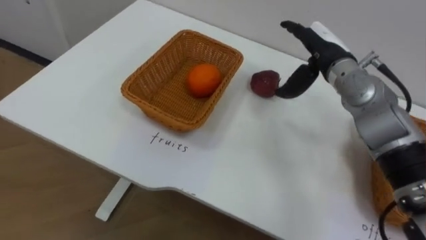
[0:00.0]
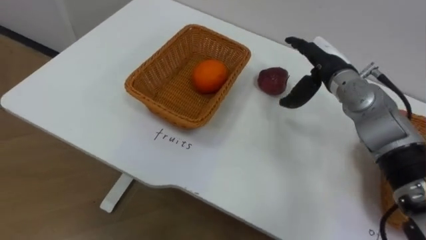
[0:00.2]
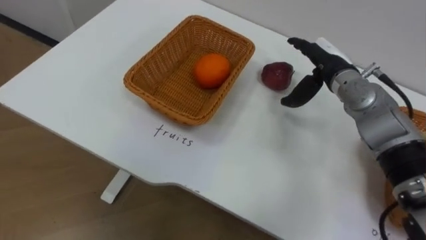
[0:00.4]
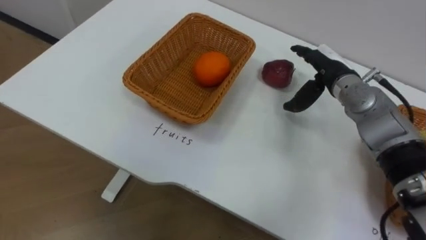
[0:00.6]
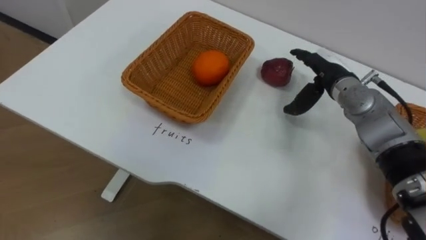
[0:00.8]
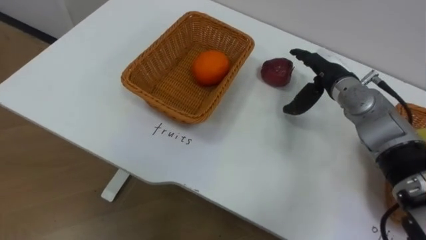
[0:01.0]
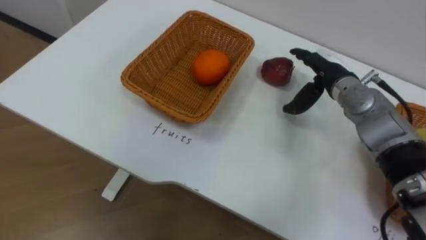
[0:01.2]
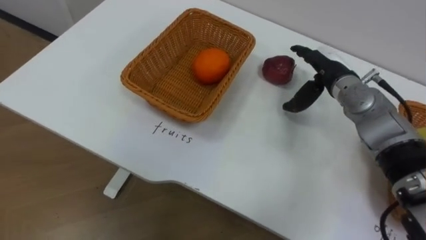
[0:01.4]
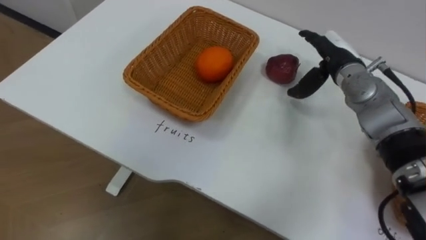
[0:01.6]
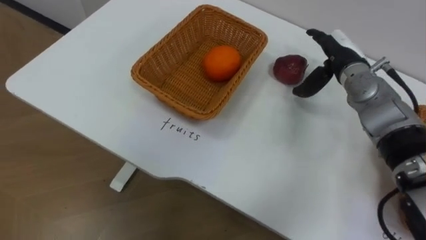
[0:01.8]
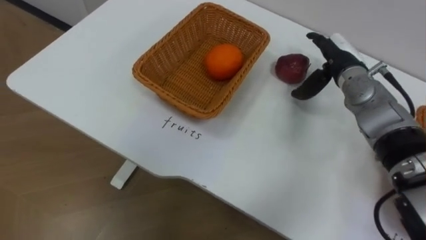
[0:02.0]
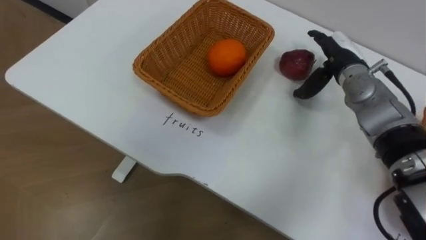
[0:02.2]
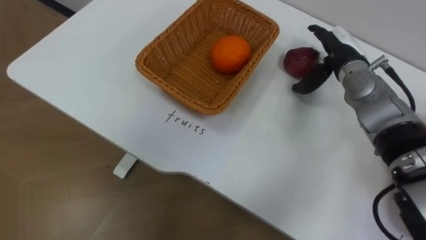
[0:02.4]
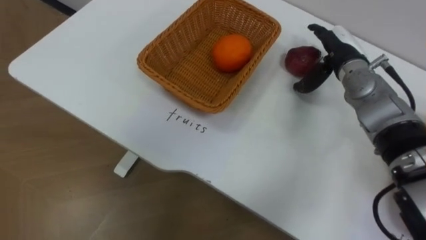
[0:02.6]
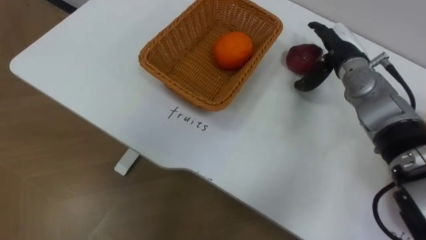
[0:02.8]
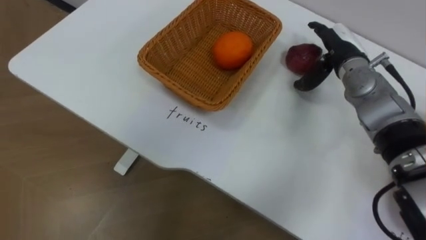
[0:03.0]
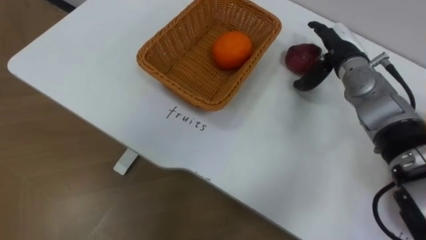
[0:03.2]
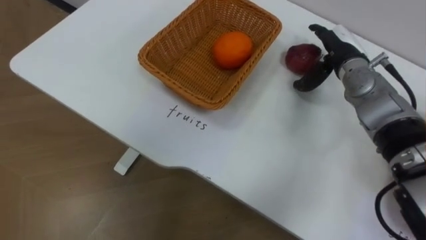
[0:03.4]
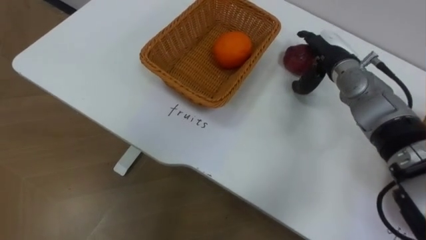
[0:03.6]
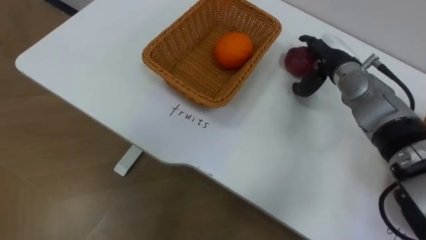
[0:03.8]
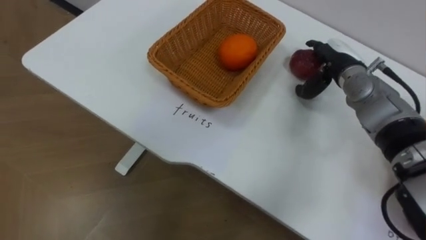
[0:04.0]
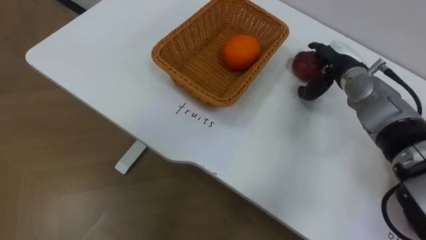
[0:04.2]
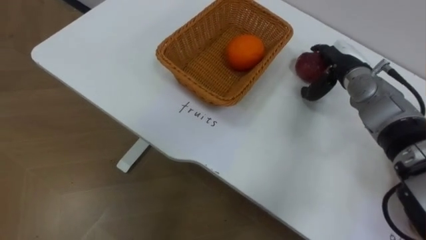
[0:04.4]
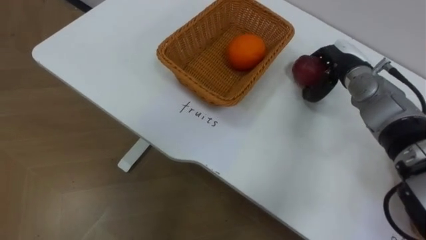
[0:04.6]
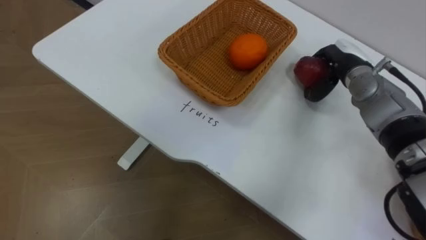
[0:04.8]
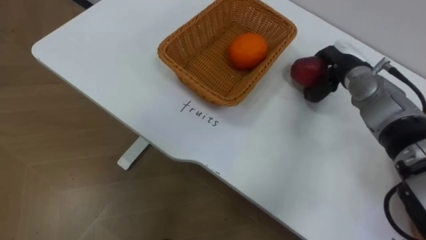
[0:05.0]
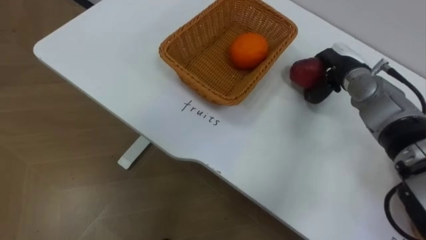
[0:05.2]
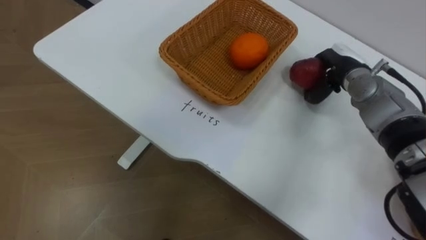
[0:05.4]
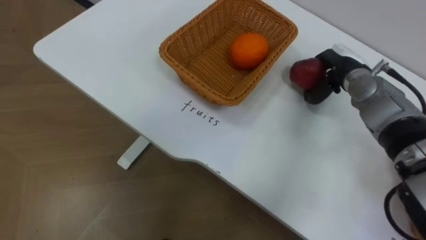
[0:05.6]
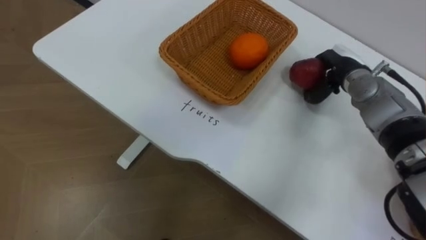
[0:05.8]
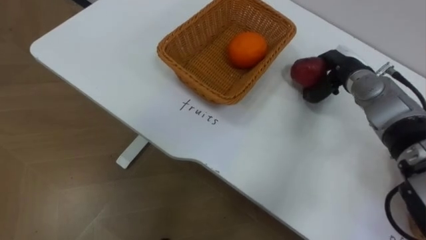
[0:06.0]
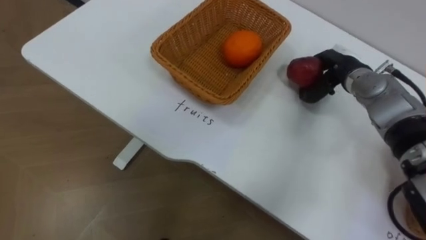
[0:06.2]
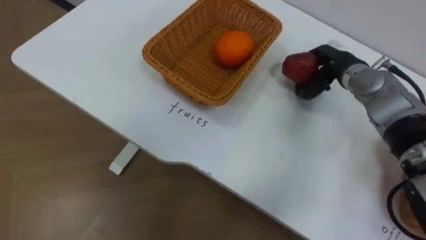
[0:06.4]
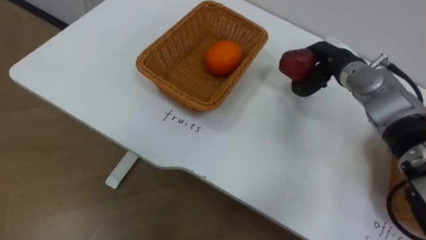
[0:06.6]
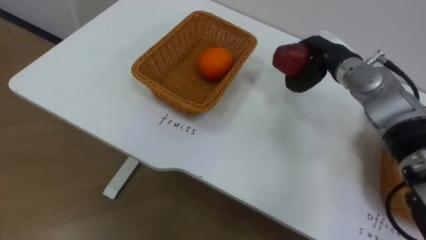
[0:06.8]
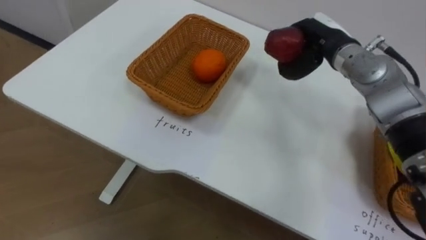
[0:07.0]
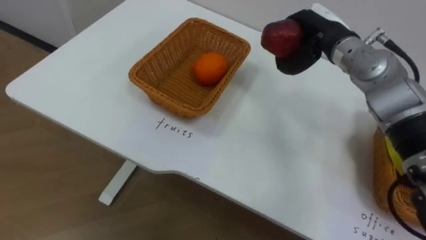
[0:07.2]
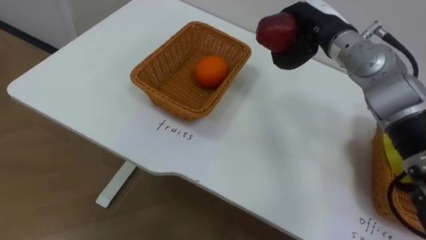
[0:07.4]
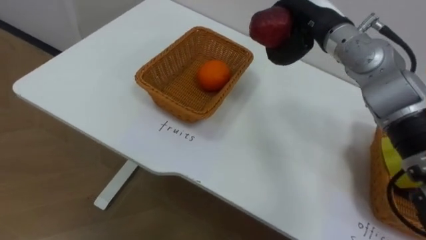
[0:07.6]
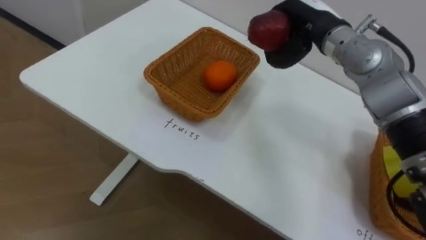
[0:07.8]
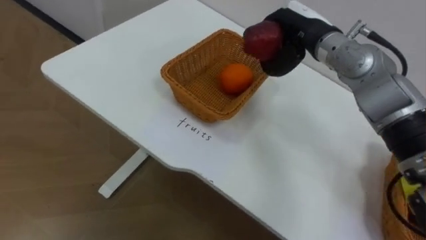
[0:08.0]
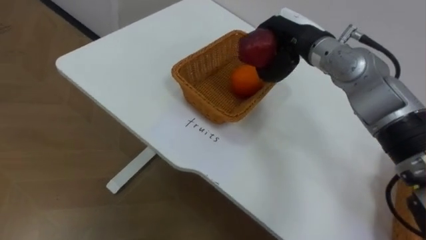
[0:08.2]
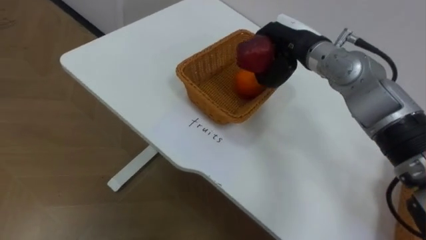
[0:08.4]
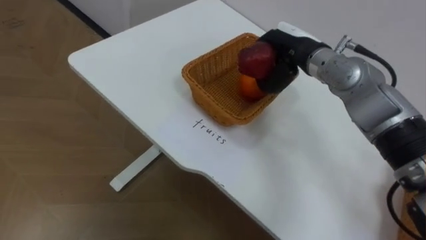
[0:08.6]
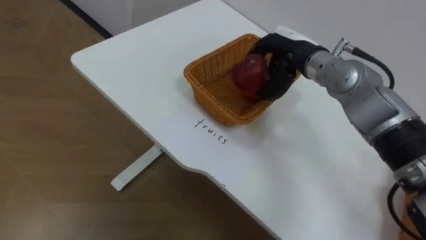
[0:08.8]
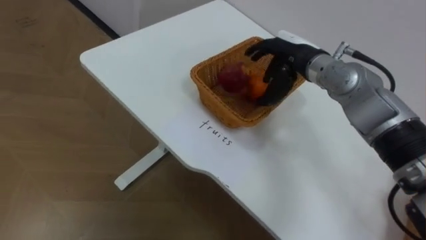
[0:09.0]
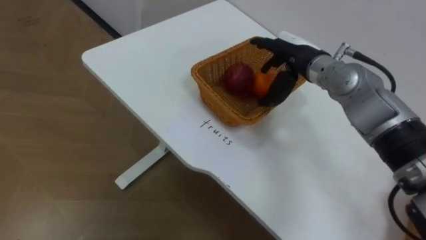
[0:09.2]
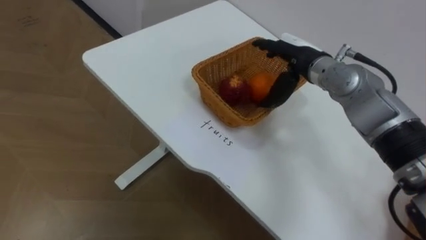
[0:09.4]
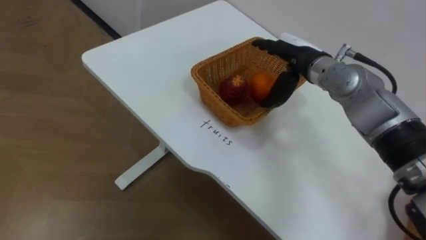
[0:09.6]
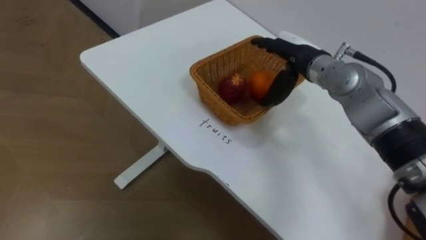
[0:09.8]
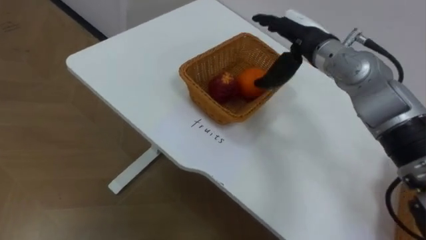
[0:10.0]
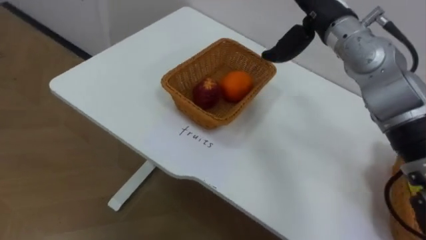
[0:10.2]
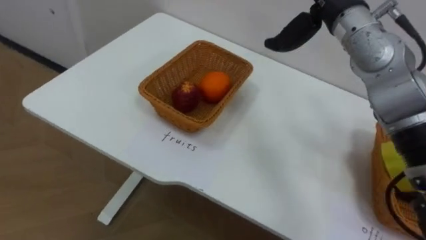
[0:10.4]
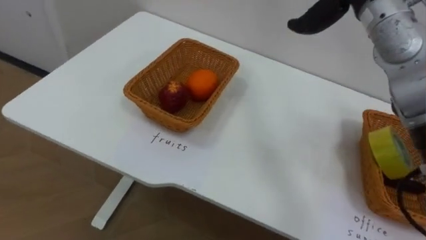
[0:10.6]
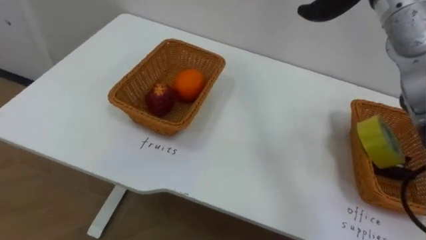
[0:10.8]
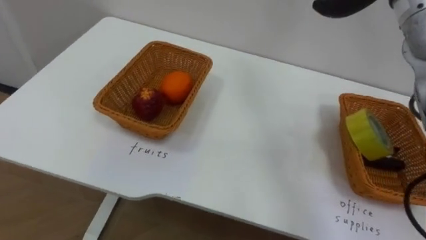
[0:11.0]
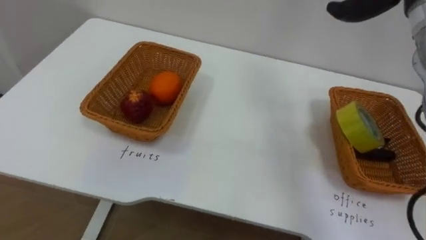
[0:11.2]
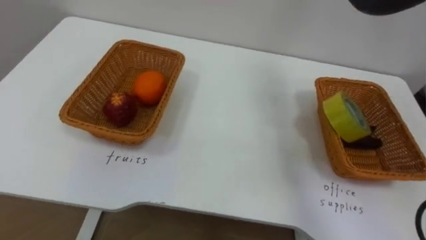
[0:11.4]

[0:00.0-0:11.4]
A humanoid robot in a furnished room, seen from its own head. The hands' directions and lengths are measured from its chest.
Task of the whole recording: Separate the items on the table and place them into the two baskets.
0:00.0 to 0:01.4: The right hand changes place by about 5 cm.
0:04.2 to 0:05.6: The right hand closes.
0:05.6 to 0:07.2: The right hand is displaced upward and to the left by about 10 cm.
0:07.2 to 0:08.6: The right hand moves approximately 5 cm.
0:08.6 to 0:10.0: The right hand opens up.

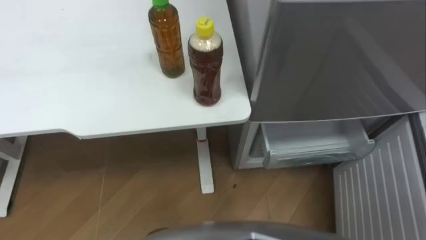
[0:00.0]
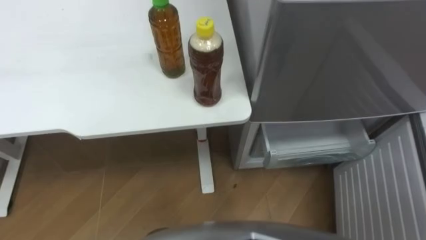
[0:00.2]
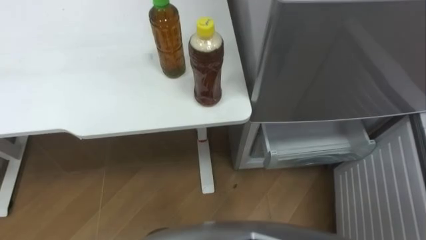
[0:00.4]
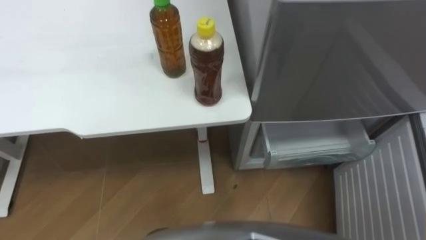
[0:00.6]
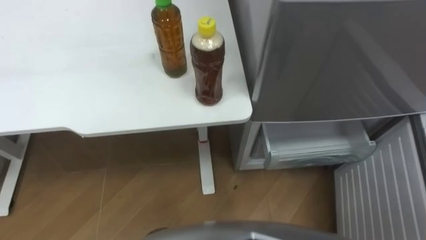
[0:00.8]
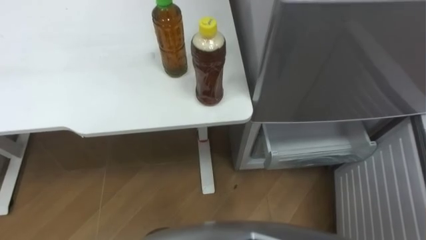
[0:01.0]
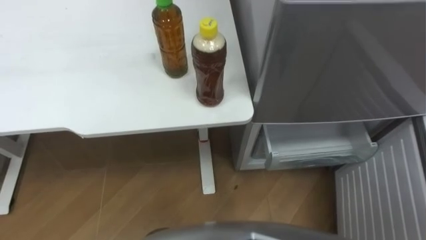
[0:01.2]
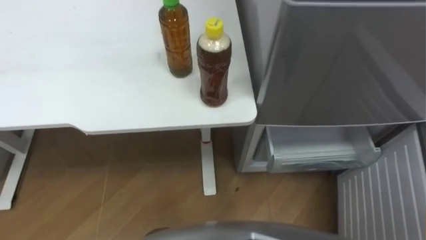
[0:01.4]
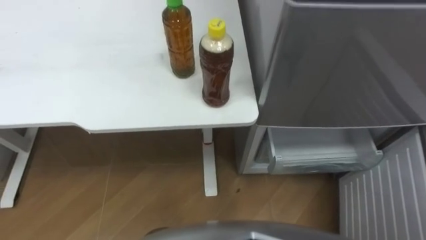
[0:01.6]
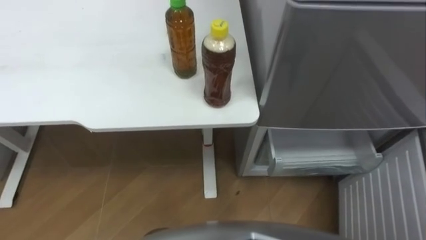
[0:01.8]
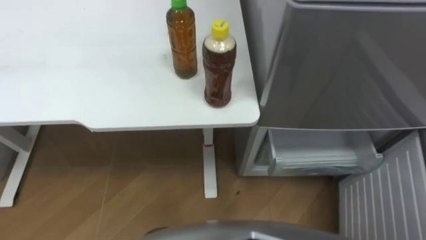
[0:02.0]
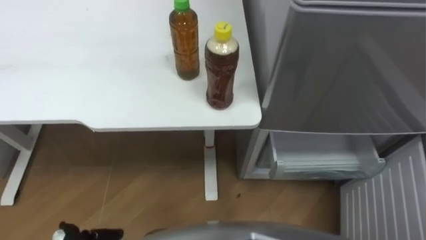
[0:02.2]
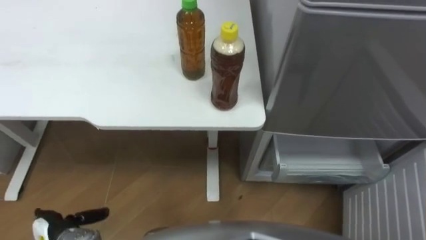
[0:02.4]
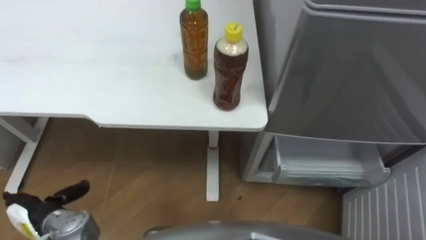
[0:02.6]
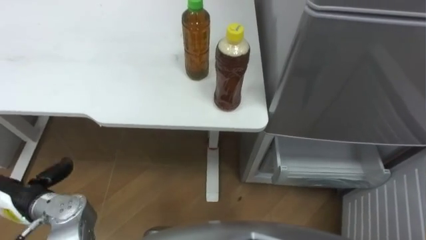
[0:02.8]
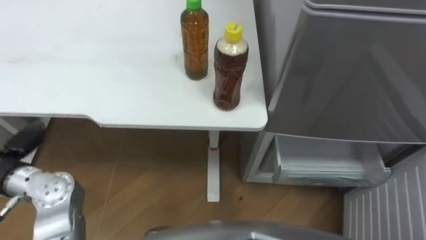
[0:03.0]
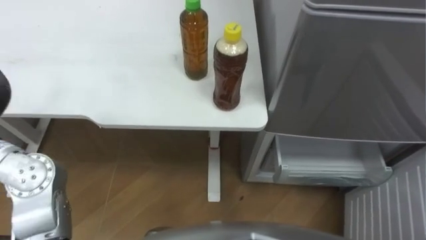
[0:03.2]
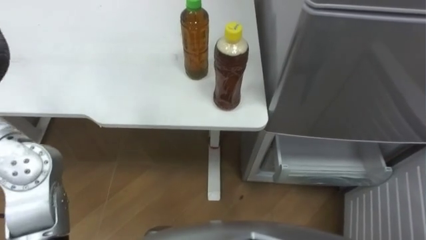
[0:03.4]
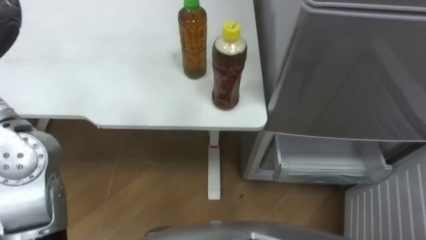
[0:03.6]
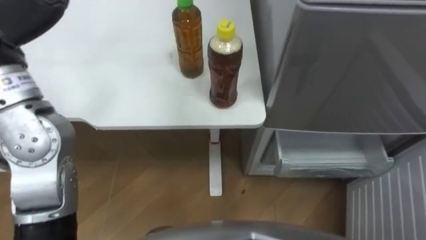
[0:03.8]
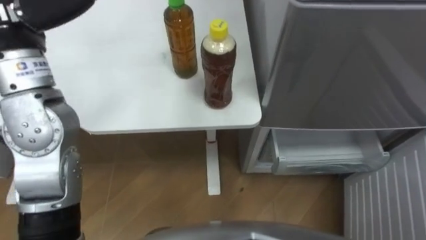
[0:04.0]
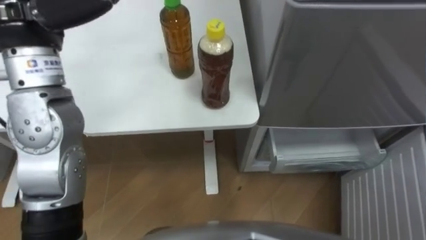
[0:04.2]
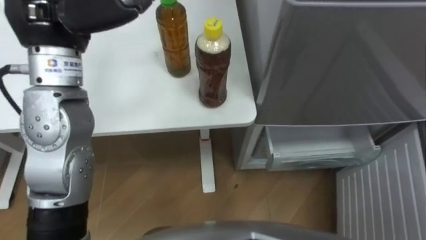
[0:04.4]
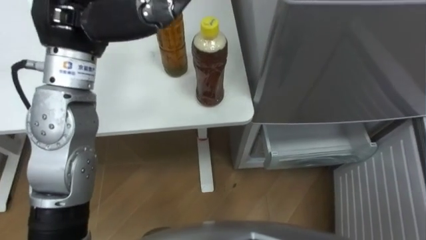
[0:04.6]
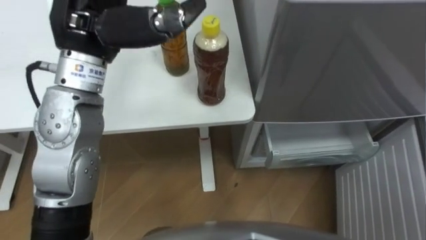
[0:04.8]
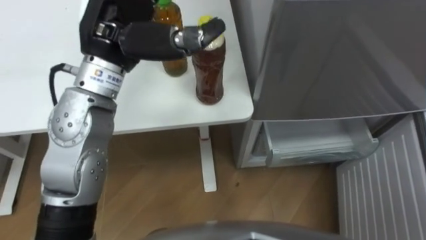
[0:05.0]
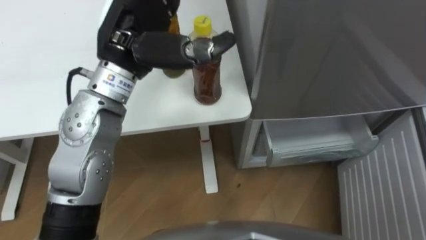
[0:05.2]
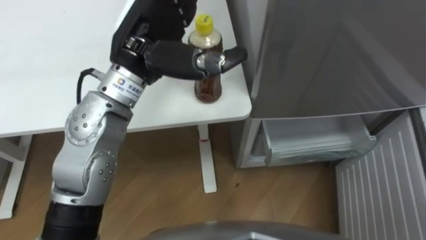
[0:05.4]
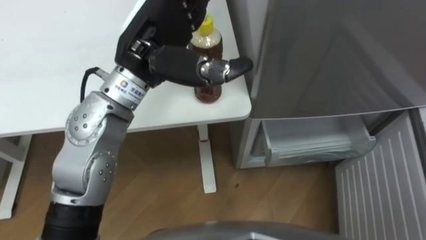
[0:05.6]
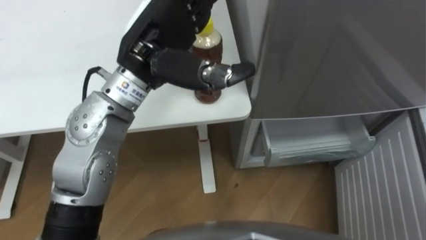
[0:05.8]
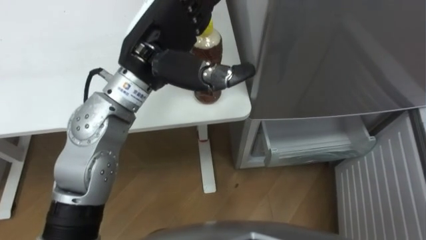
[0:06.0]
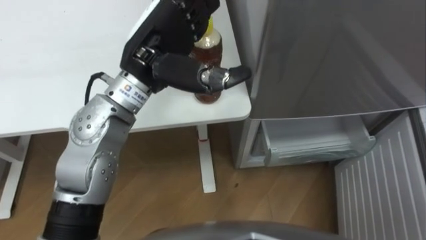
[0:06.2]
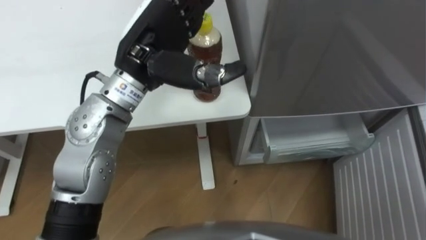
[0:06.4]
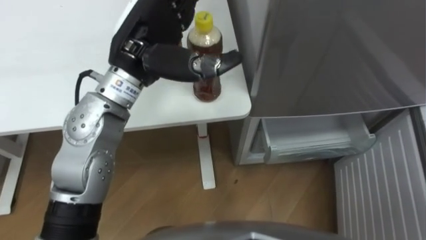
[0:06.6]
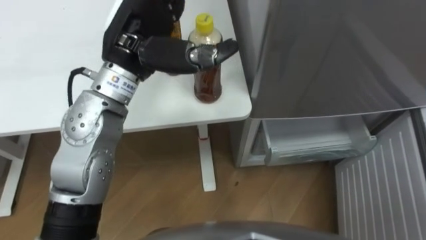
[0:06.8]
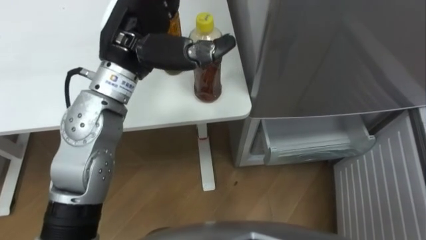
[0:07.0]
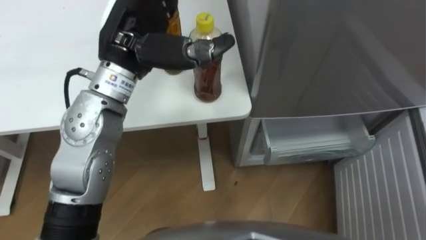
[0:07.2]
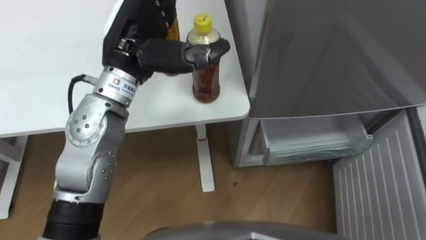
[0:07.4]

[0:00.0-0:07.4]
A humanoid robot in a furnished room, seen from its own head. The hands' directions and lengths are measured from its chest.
Task of the whole recording: Place the drink on the table on the bottom shelf of the refrigerator, then close the drawer and the refrigerator door.
0:04.4 to 0:06.0: The left hand shifts some 10 cm to the right and downward.
